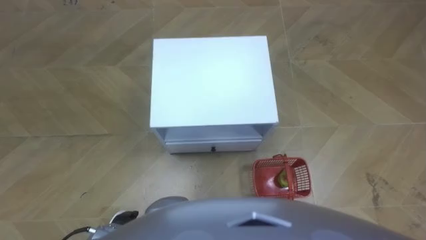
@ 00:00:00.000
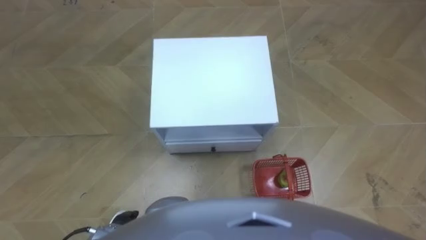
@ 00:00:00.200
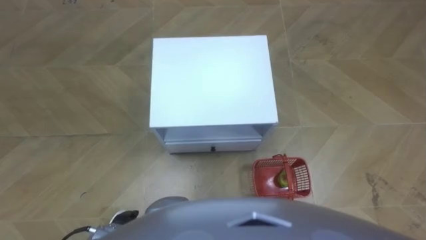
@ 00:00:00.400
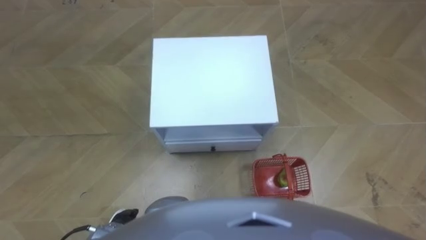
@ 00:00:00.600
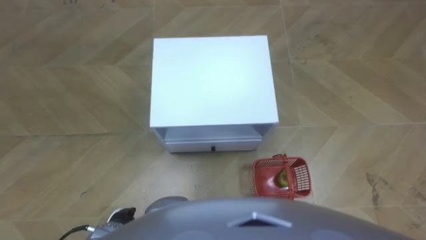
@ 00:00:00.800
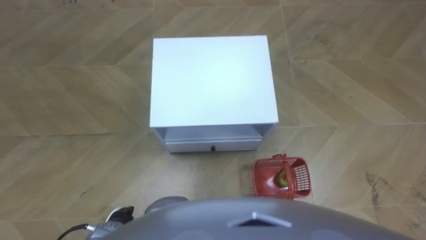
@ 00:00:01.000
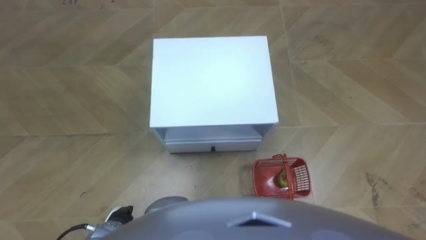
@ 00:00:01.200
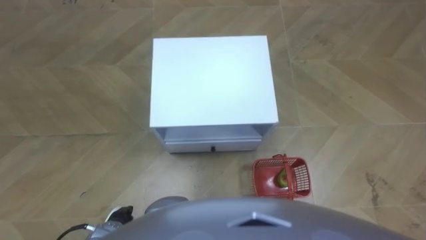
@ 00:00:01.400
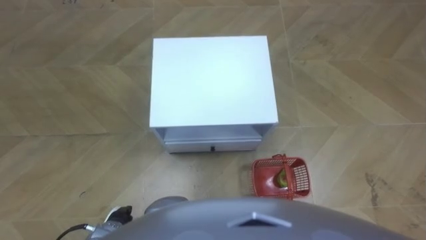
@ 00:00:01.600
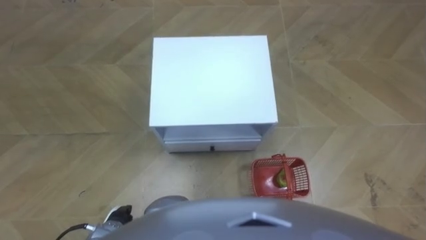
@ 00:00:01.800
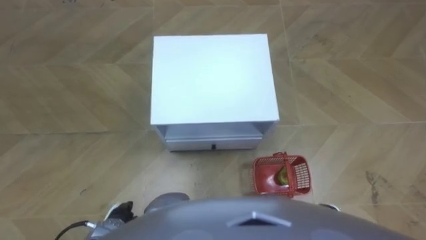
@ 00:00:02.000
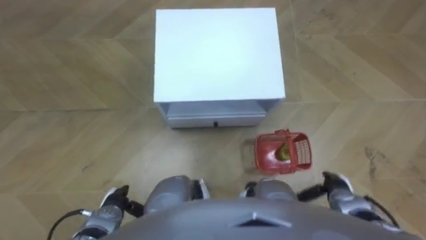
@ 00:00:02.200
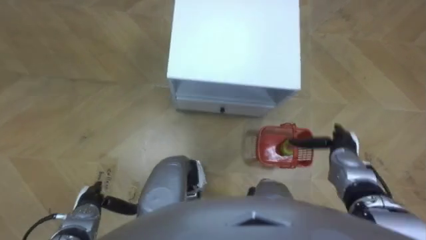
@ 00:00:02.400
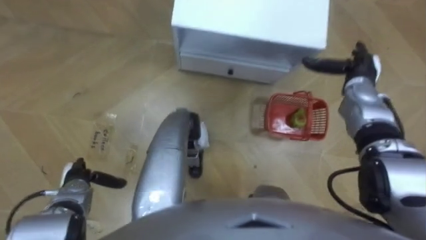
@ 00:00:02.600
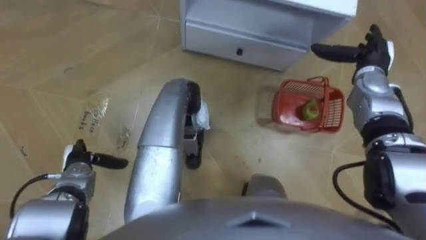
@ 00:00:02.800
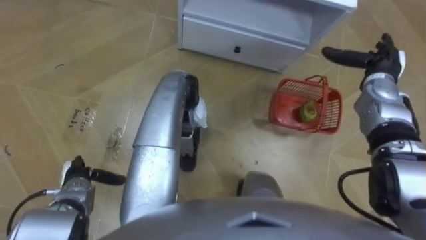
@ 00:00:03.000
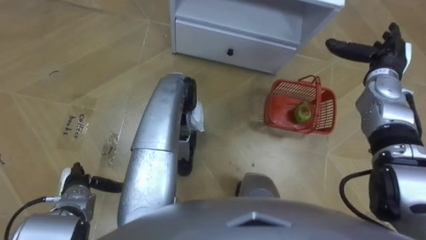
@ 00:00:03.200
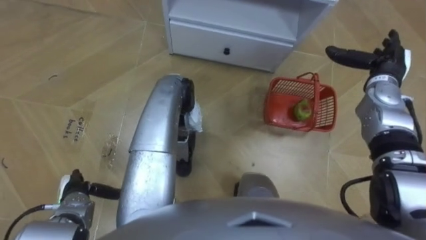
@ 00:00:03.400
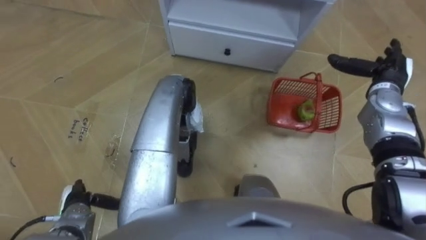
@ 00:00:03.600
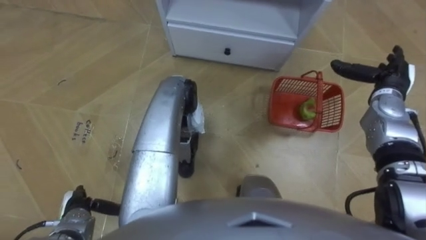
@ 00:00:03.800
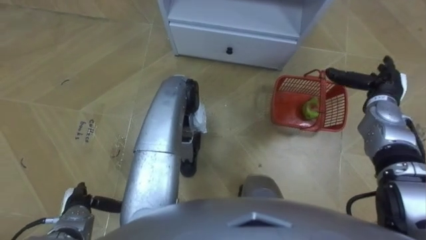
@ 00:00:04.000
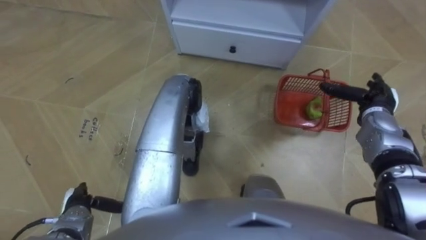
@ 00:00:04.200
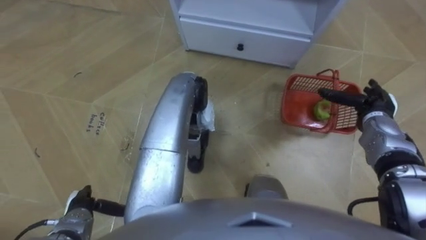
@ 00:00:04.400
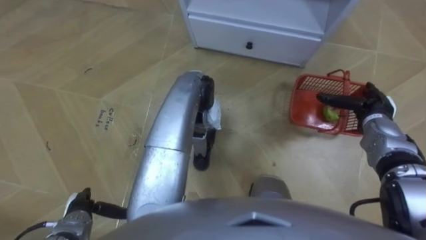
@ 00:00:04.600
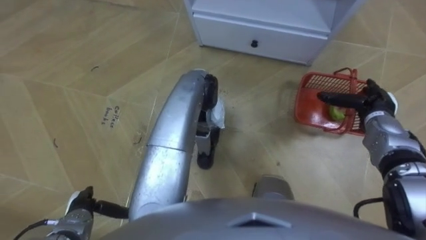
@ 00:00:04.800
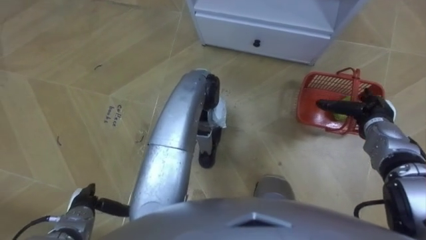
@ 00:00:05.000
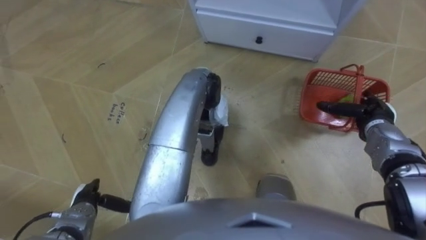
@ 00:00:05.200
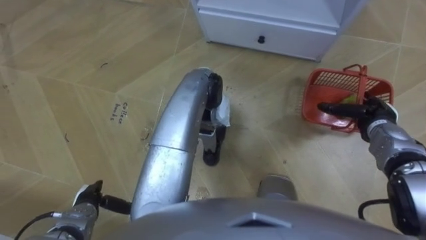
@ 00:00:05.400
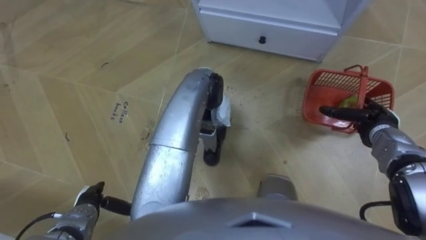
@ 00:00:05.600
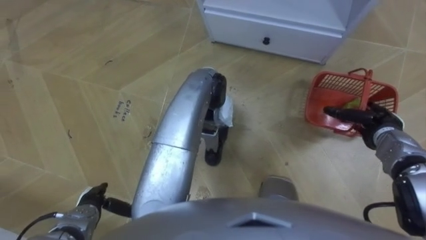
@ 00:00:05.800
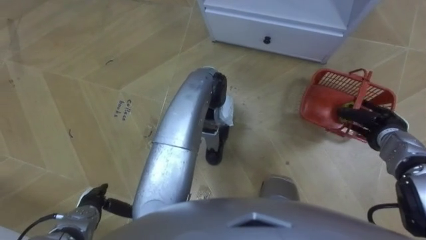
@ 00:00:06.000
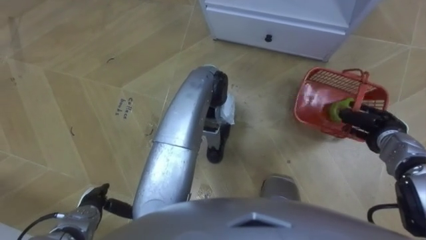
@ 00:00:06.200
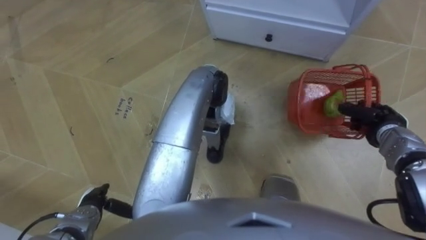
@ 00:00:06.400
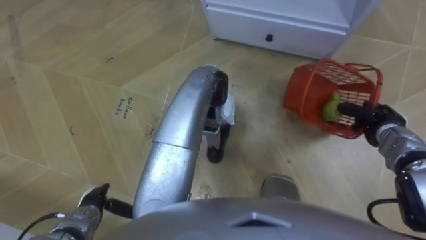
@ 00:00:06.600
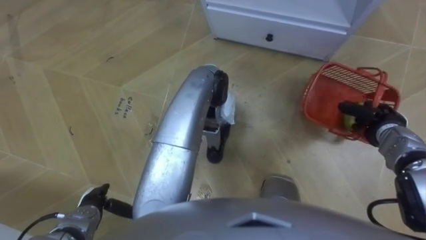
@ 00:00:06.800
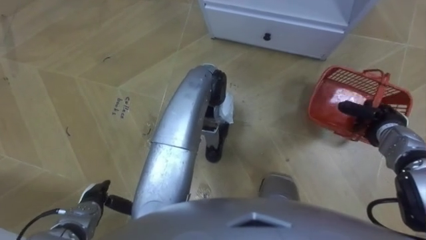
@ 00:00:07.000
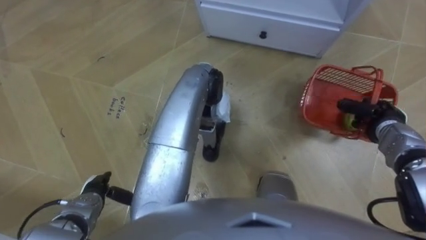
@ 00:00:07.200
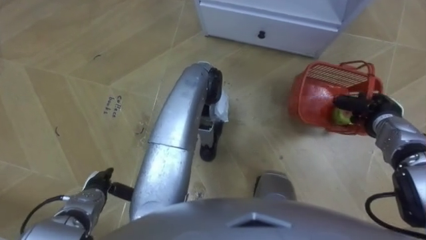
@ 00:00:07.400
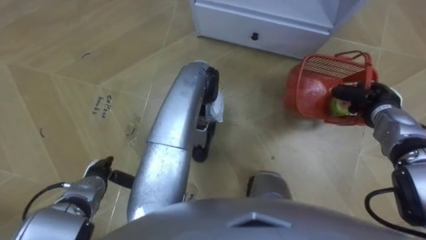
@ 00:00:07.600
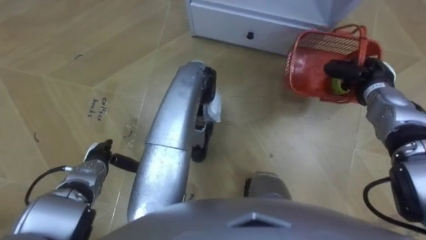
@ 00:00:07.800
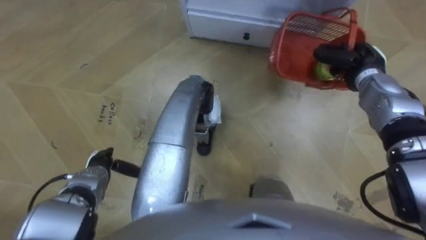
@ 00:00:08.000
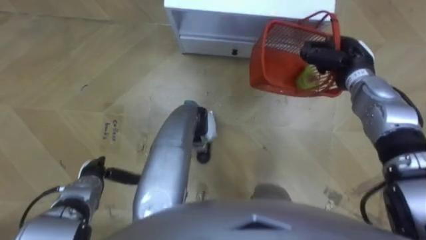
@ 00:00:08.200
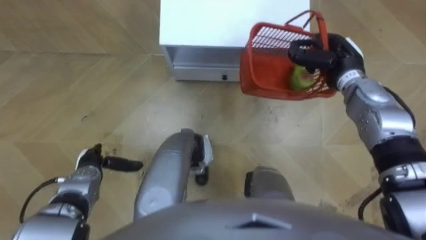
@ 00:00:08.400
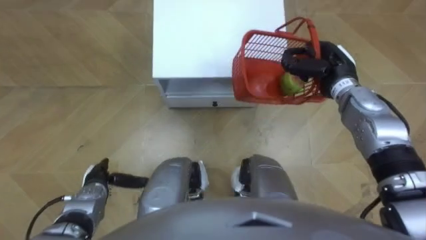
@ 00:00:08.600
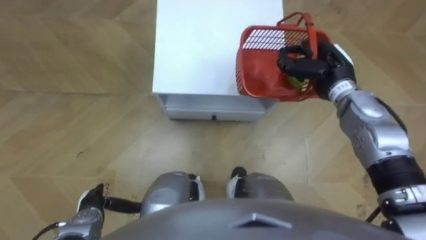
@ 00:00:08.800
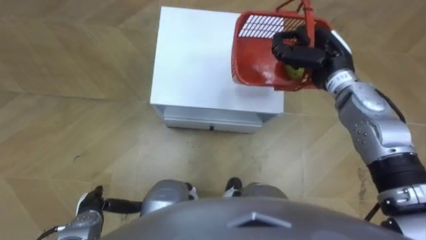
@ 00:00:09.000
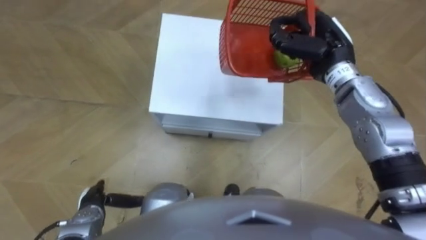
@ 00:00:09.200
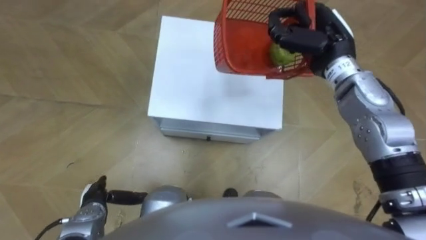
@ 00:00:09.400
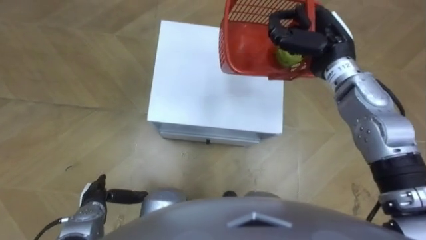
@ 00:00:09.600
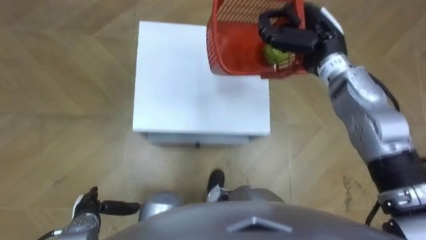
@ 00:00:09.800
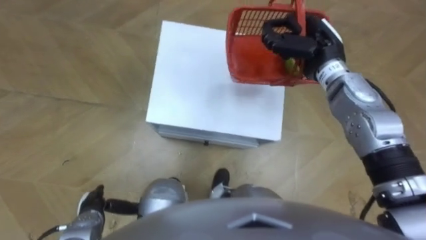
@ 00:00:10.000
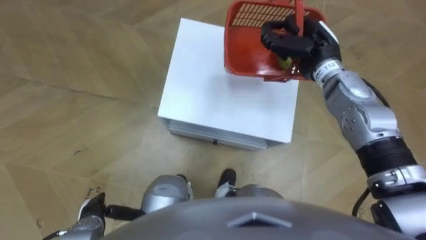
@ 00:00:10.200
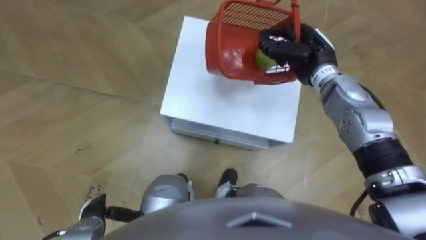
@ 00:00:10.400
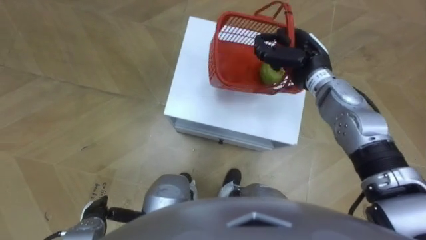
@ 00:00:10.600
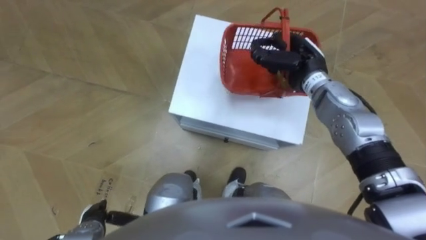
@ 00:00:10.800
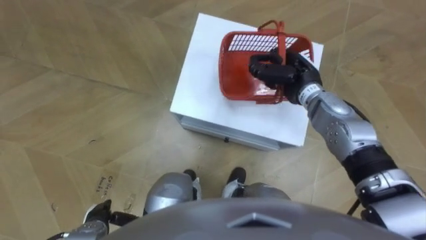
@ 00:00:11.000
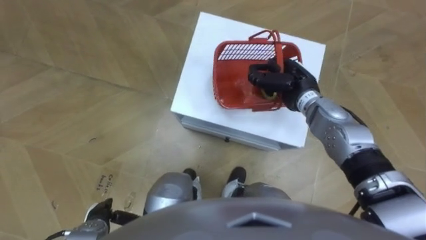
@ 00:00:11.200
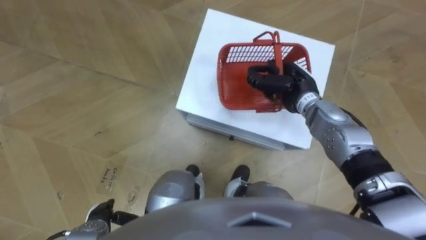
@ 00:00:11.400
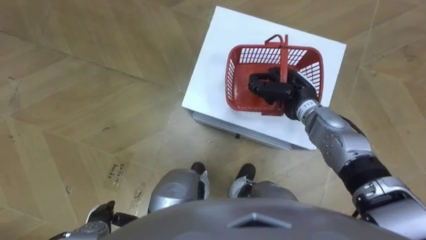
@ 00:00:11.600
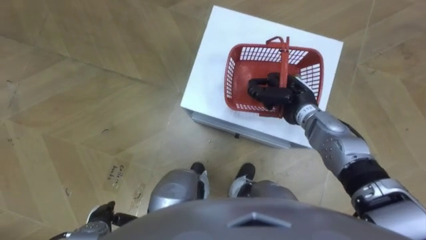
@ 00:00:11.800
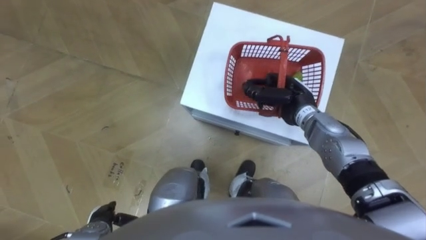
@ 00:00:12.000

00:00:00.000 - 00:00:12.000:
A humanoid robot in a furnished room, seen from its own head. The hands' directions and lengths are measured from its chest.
Task of the whole recording: Pick up the fruit basket from the floor and place it on the cabinet.
00:00:01.600 - 00:00:03.000: The right hand goes about 35 cm forward and upward. The left hand moves forward and to the left, approximately 15 cm.
00:00:03.000 - 00:00:04.400: The left hand travels backward by approximately 5 cm. Meanwhile the right hand shifts roughly 10 cm backward and downward.
00:00:04.400 - 00:00:06.000: The right hand closes its fingers.
00:00:06.000 - 00:00:07.600: The left hand heads forward, covering about 5 cm; the right hand ends up some 5 cm from where it was, and closes up.
00:00:07.600 - 00:00:09.000: The left hand moves backward, about 10 cm; the right hand is displaced to the left and upward by about 20 cm.
00:00:10.400 - 00:00:12.000: The right hand goes about 10 cm downward and backward.

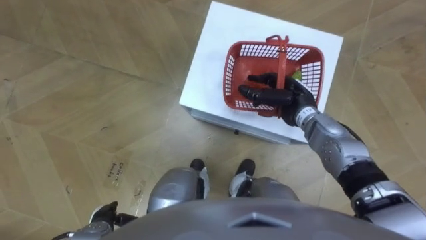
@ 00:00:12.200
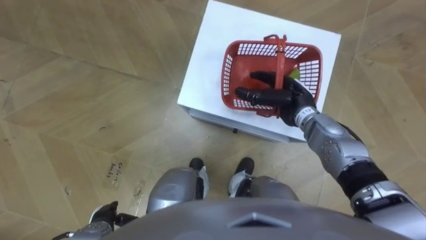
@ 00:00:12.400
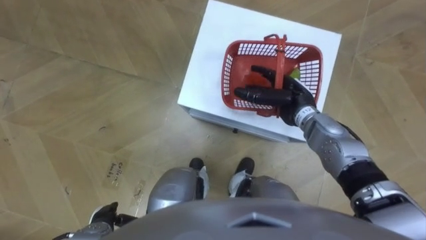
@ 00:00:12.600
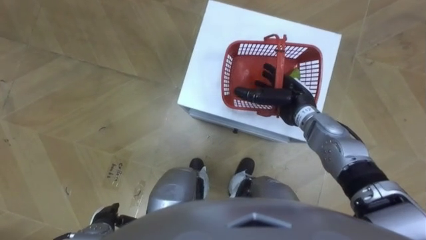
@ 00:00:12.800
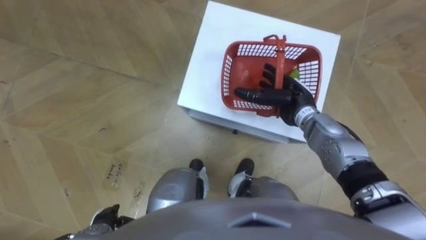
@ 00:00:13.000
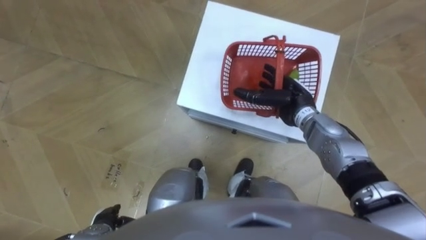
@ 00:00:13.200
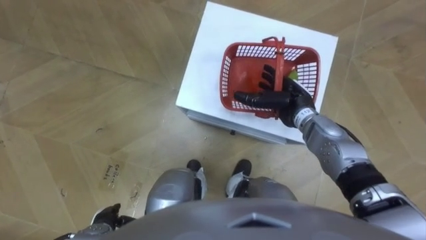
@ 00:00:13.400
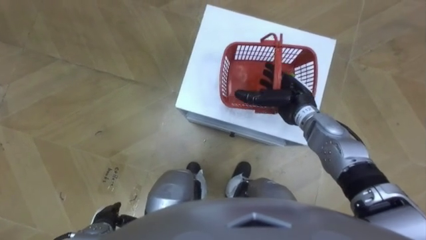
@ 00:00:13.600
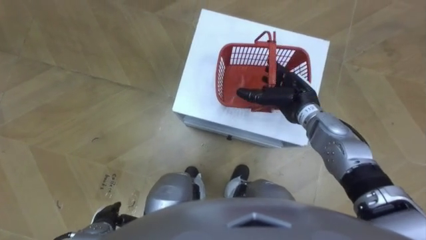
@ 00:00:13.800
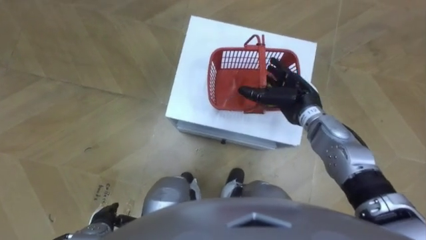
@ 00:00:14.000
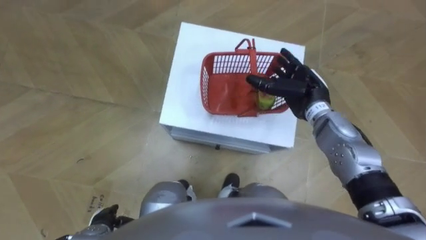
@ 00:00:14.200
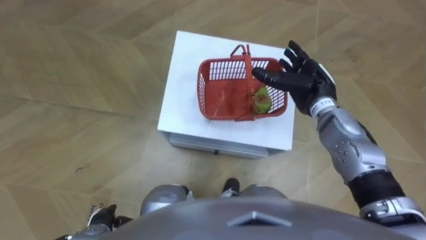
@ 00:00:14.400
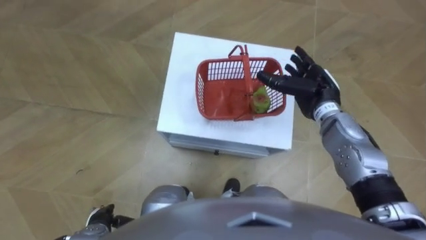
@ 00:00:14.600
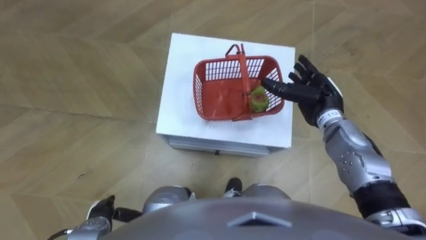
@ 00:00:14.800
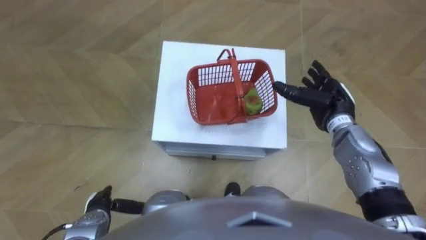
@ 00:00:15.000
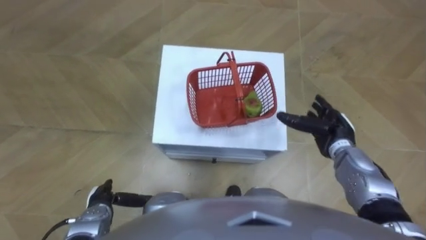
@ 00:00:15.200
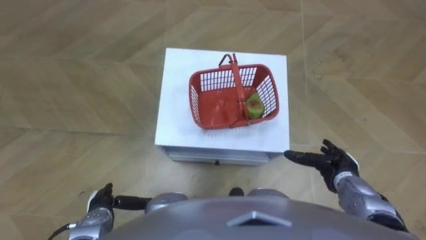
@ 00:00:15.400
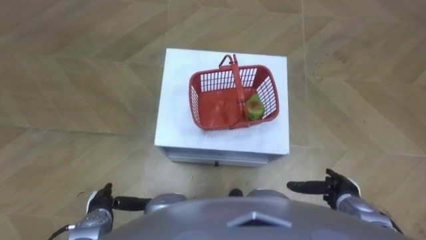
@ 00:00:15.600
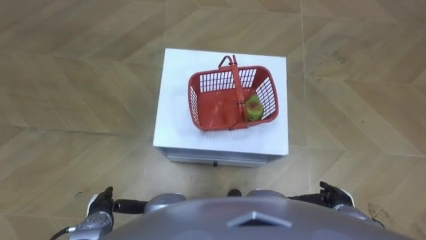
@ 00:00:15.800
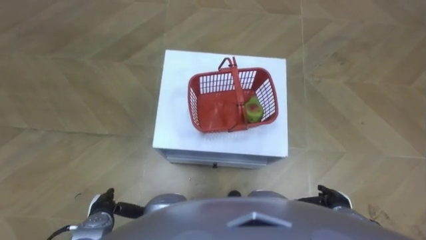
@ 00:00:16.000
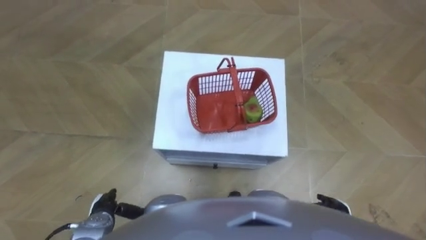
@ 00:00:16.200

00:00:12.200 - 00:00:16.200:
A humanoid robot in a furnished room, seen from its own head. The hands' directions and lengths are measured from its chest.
Task of the whole recording: Pick up the fruit basket from the floor and place it on the cabinet.
00:00:12.200 - 00:00:13.600: The right hand opens up.
00:00:13.600 - 00:00:14.800: The right hand travels to the right by roughly 5 cm.
00:00:14.800 - 00:00:16.200: The right hand heads backward and downward, covering about 30 cm.
